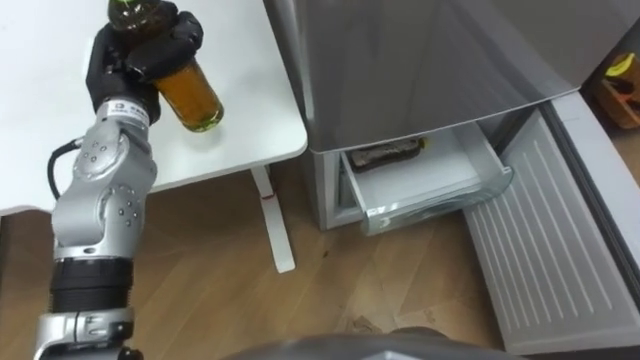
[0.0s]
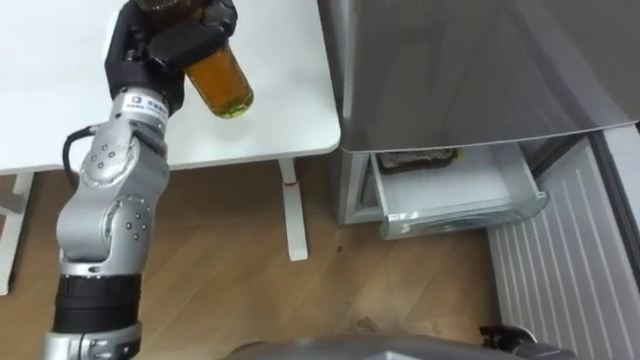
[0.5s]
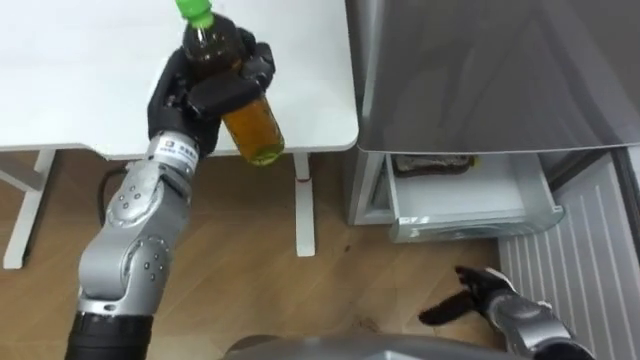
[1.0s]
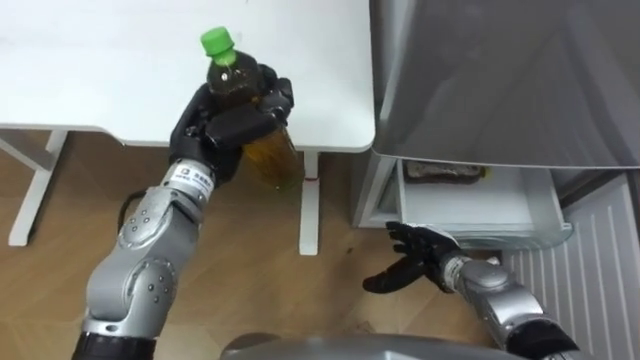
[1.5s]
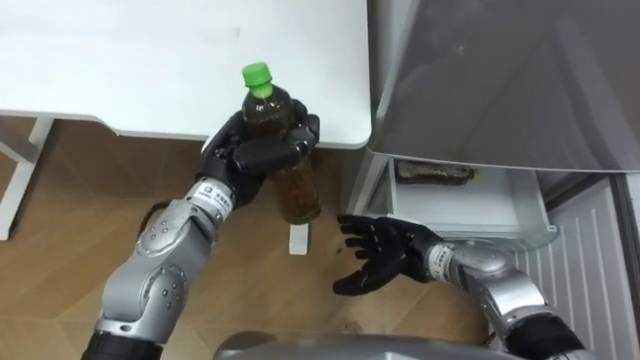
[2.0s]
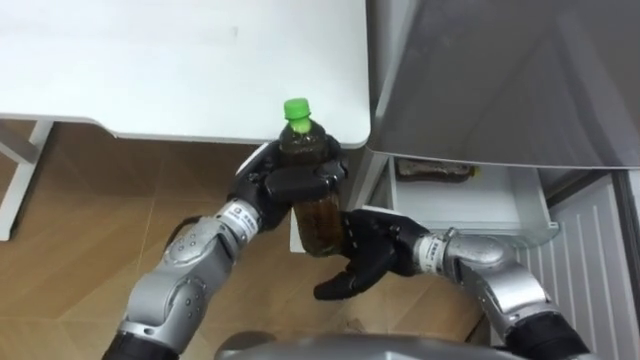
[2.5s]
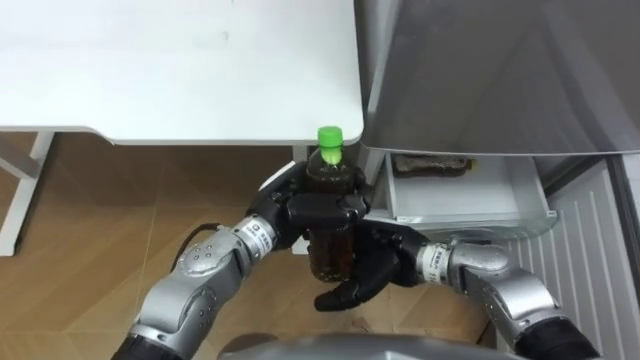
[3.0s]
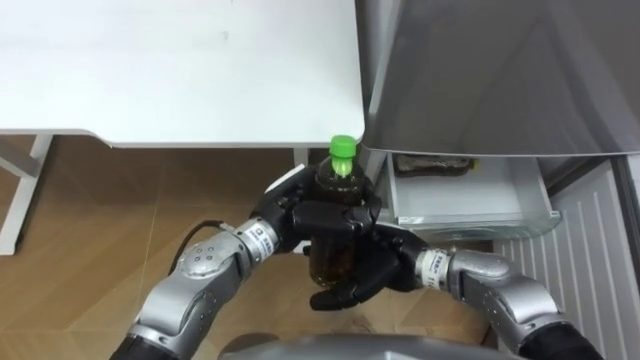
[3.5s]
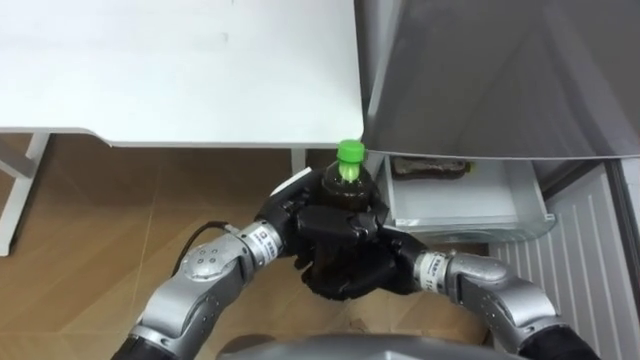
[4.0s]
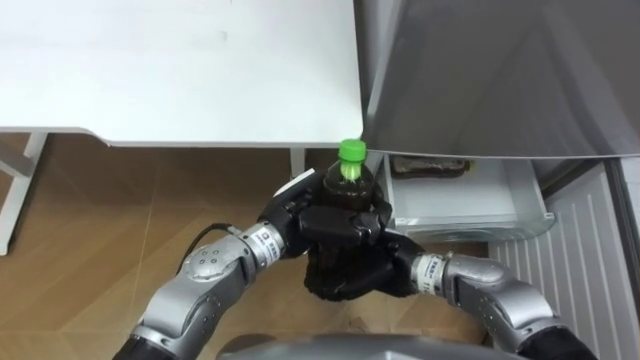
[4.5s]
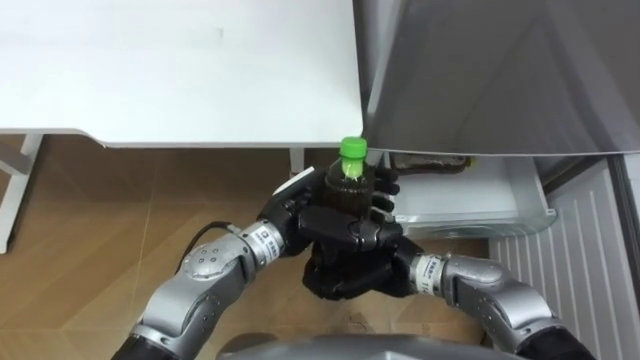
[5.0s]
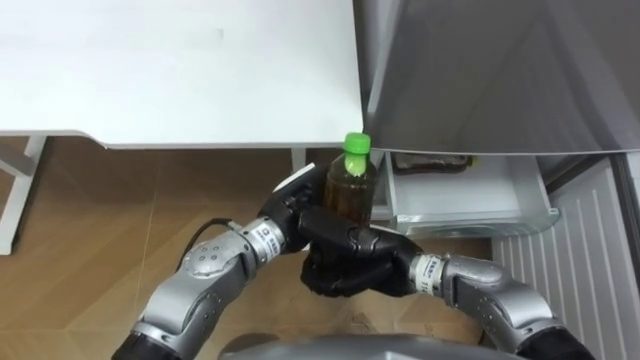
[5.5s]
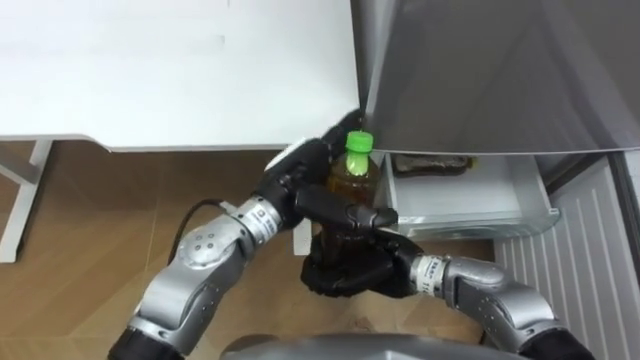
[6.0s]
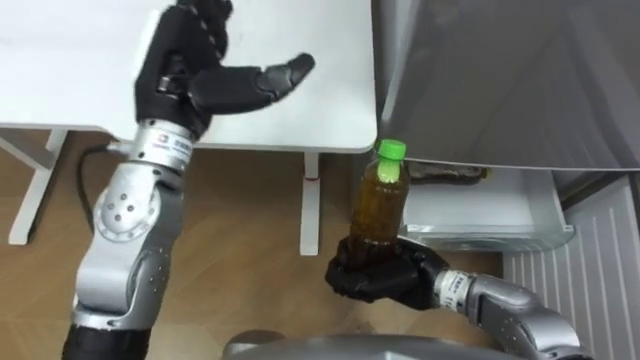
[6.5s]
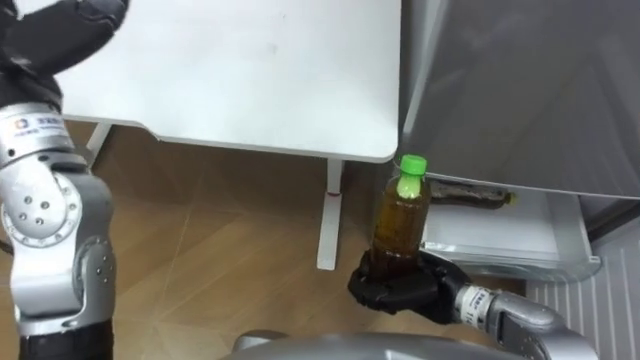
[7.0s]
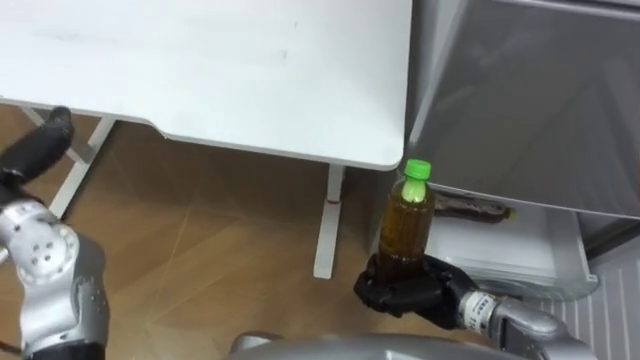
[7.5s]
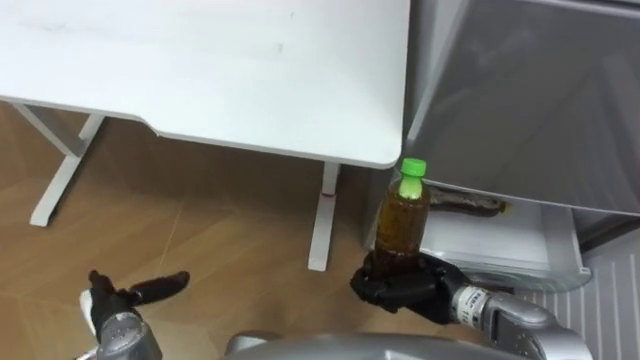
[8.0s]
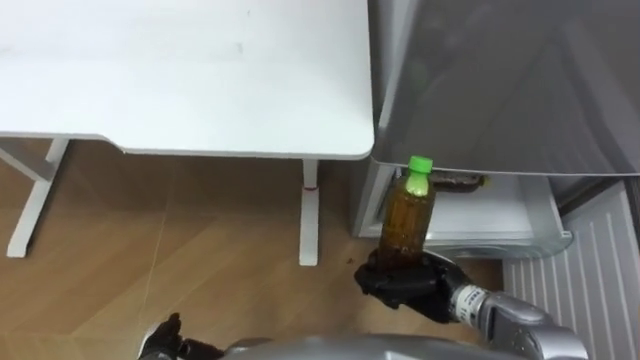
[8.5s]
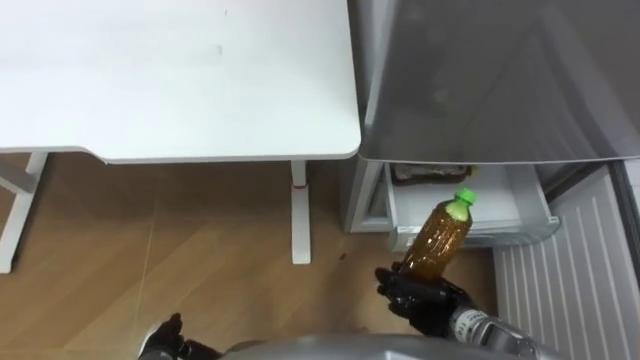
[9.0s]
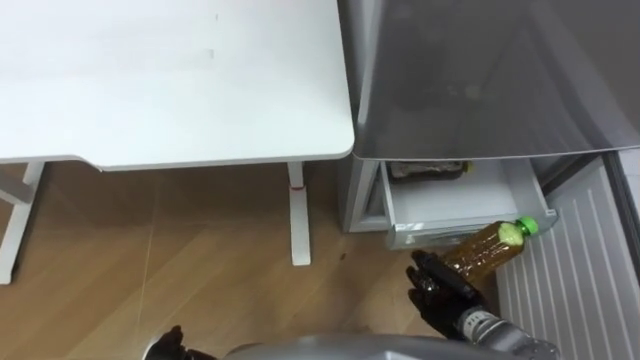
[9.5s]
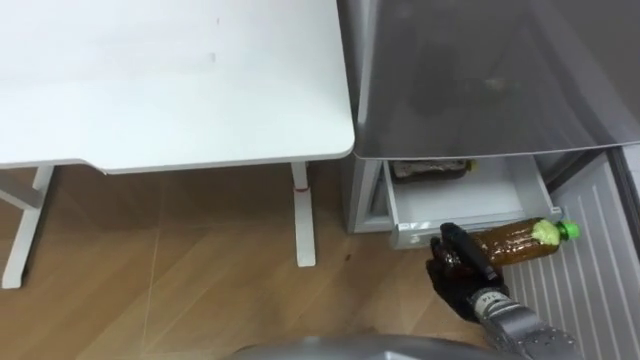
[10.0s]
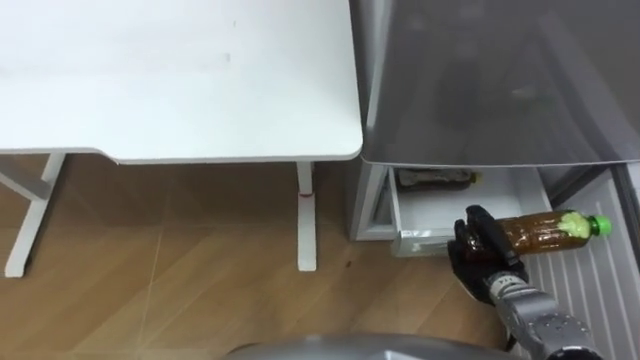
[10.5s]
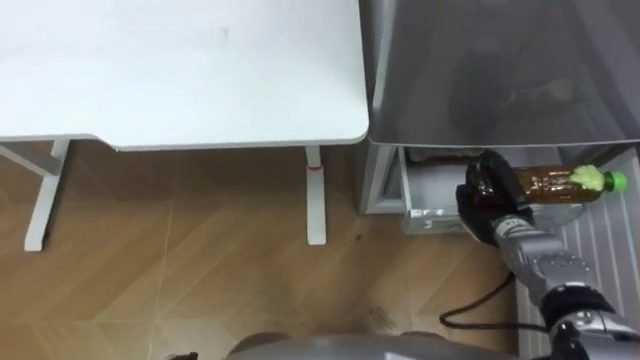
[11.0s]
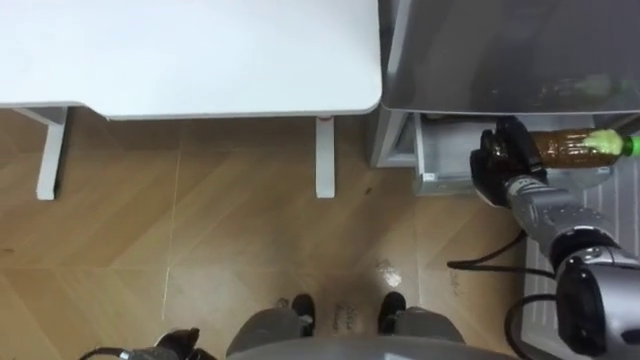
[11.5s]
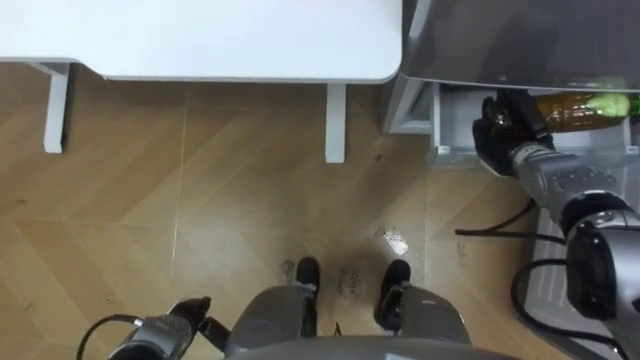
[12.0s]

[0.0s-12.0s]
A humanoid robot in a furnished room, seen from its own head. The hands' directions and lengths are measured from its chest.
Task of the whole recording: Place the drink on the table on the bottom shelf of the refrigerator, then close the drawer and the refrigerator door.
0.0s to 2.0s: The left hand moves to the right, backward and downward, about 15 cm.
2.0s to 4.0s: The left hand goes roughly 10 cm to the right. The right hand moves roughly 5 cm, and closes its fingers.
4.0s to 6.0s: The right hand closes; the left hand opens up.
6.0s to 8.0s: The right hand moves to the right, roughly 10 cm.
8.0s to 10.0s: The right hand is displaced to the right and downward by some 10 cm.
10.0s to 12.0s: The right hand travels forward and upward by about 20 cm.

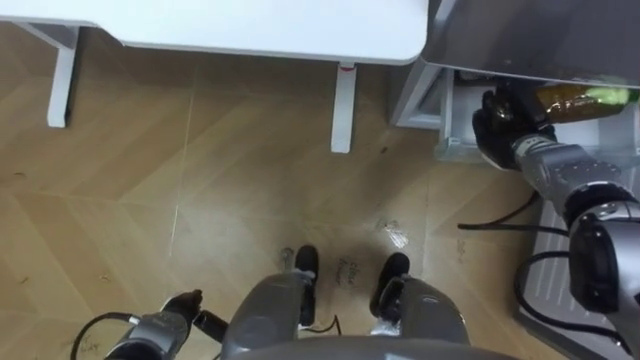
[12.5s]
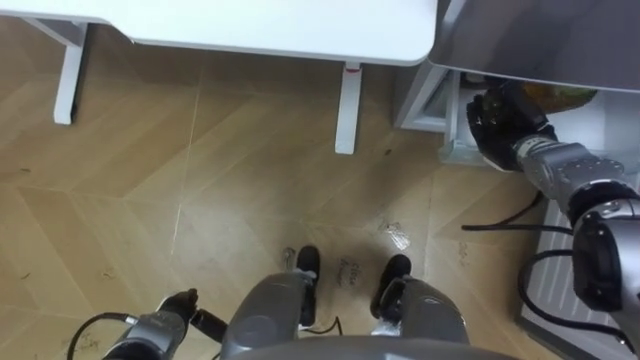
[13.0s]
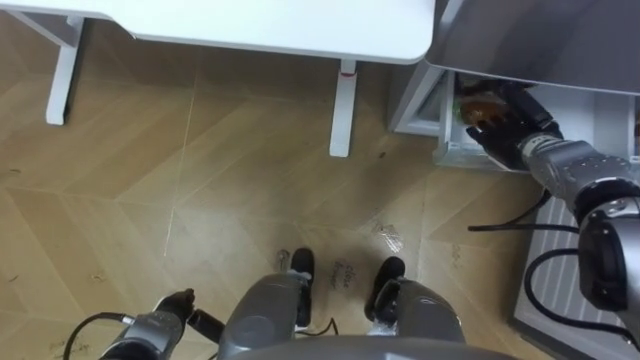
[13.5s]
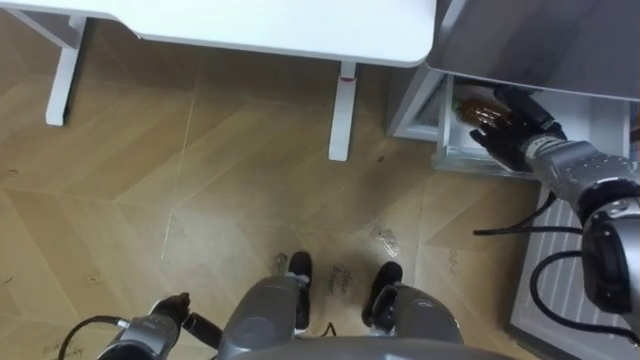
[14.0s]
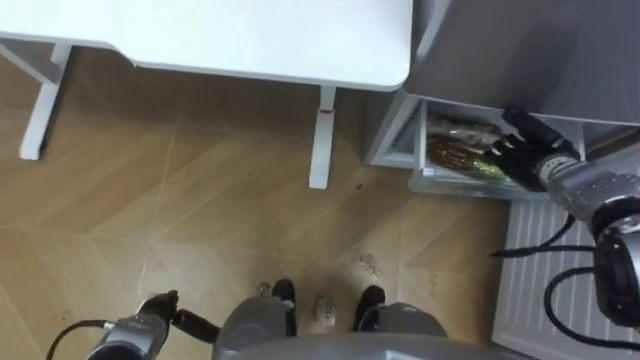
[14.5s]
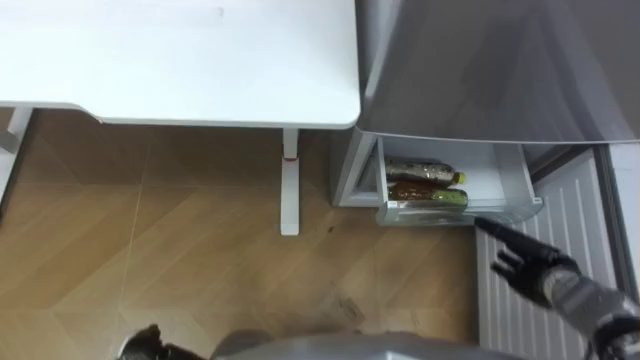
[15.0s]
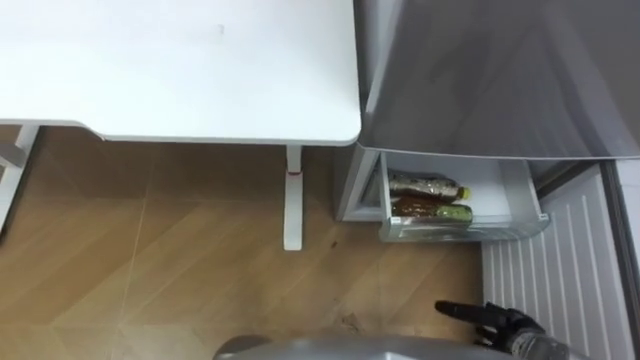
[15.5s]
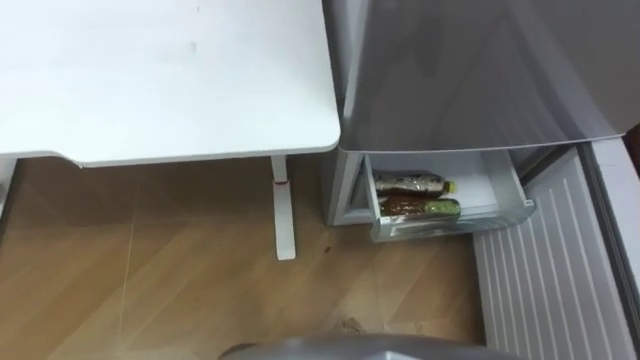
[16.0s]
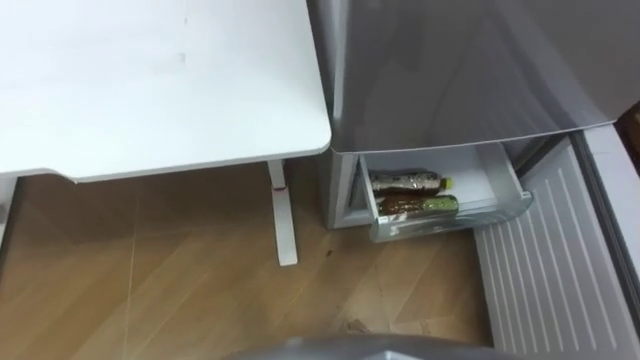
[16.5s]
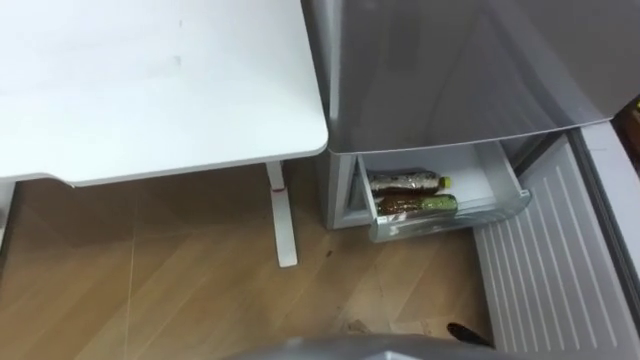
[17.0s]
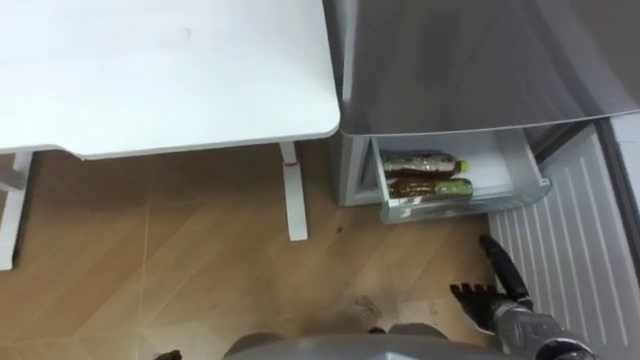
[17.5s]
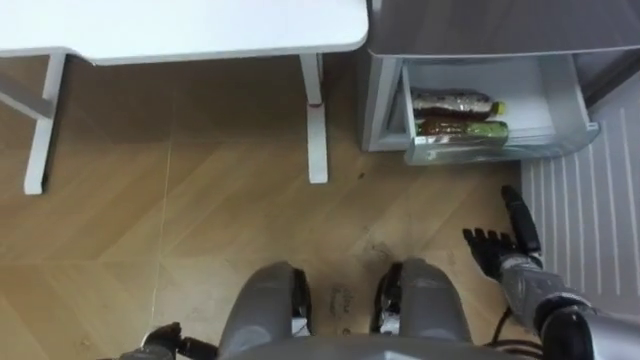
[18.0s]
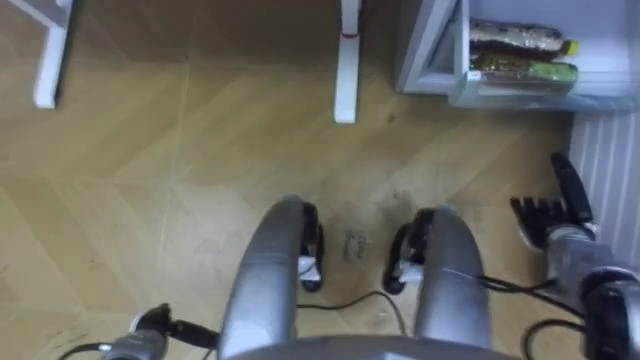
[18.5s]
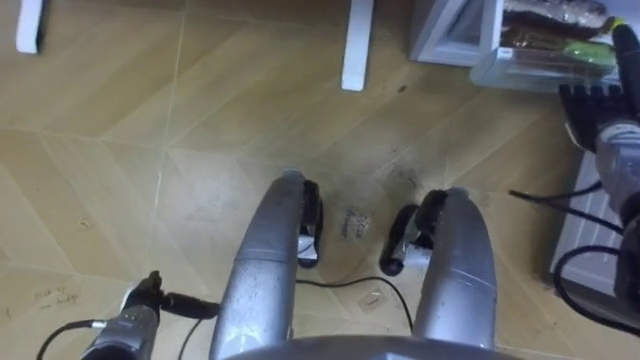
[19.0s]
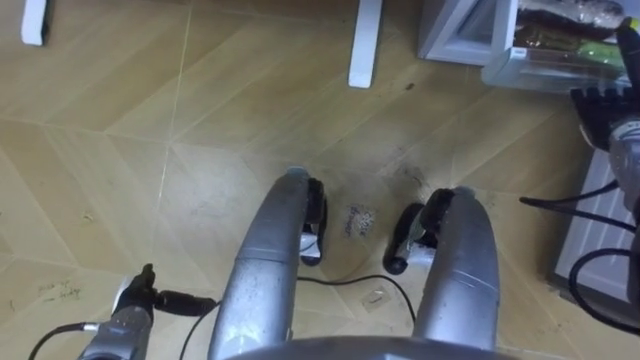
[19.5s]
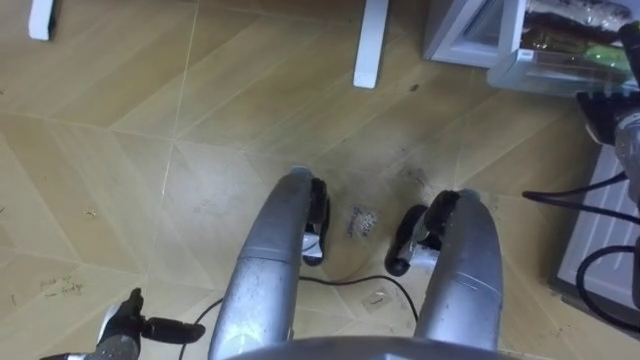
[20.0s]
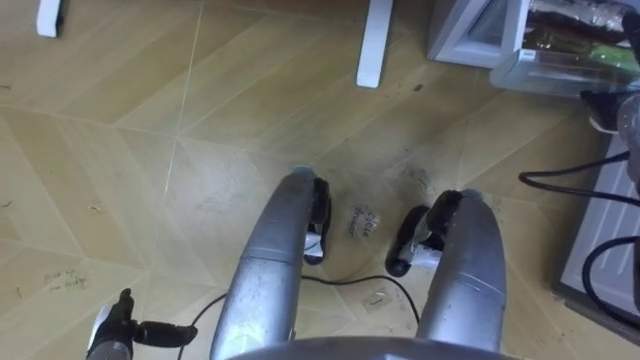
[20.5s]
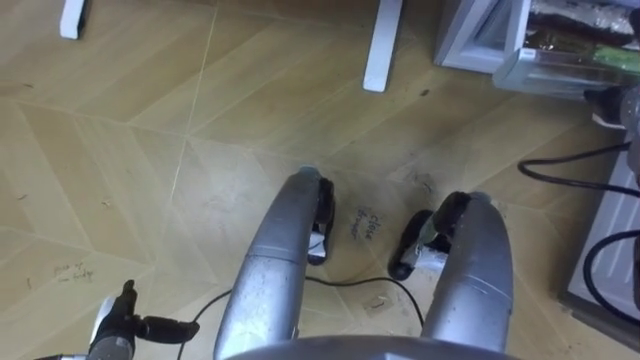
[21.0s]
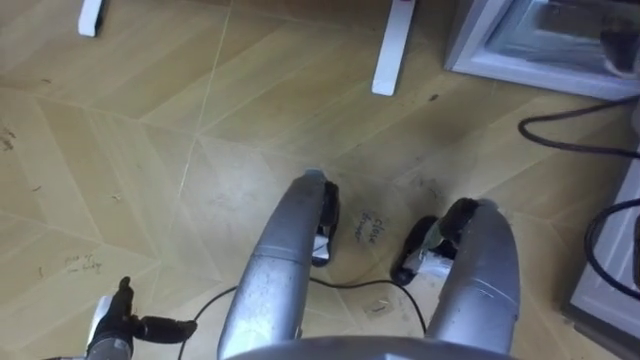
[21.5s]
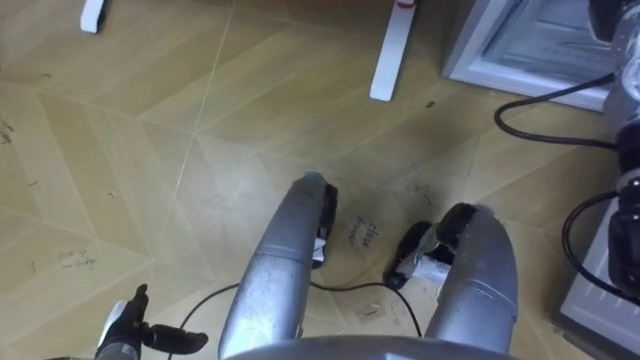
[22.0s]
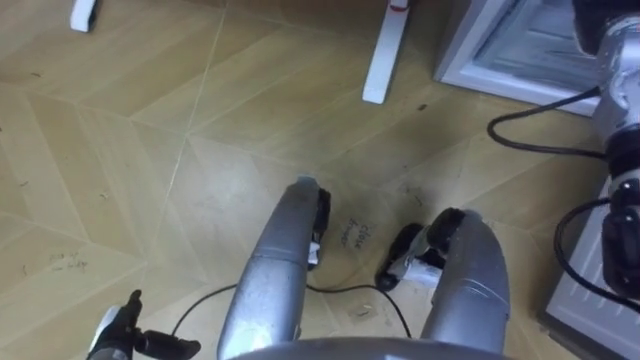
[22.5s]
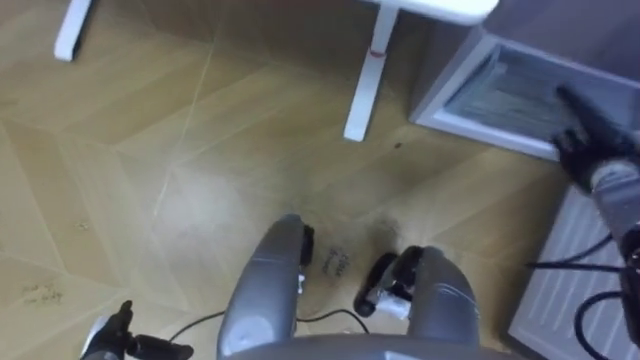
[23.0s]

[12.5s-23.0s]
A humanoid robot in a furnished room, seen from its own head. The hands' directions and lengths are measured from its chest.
Task of the whole recording: Place the drink on the table on the bottom shelf of the refrigerator, then close the drawer and the refrigerator door.
12.5s to 14.5s: The right hand opens up.
